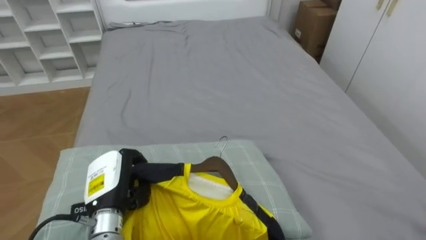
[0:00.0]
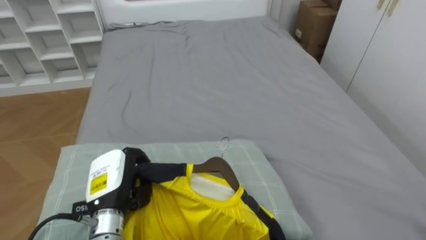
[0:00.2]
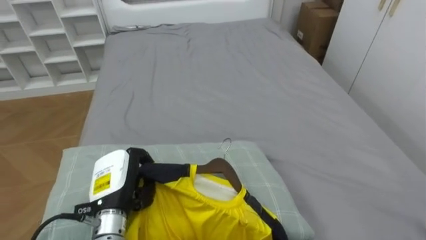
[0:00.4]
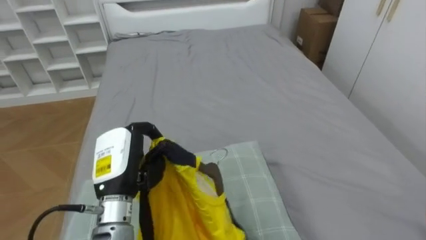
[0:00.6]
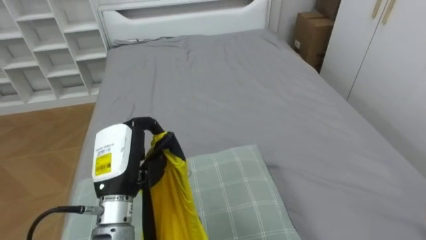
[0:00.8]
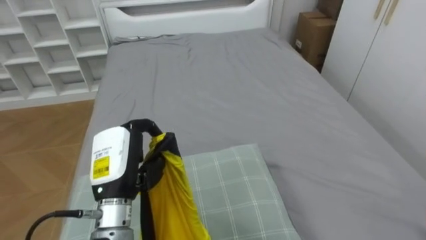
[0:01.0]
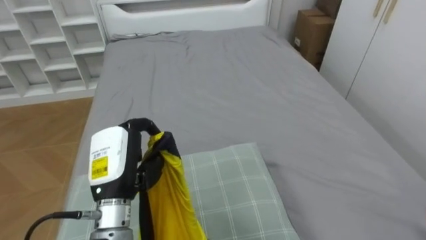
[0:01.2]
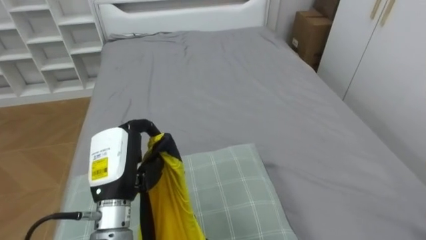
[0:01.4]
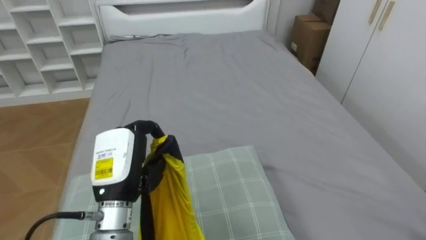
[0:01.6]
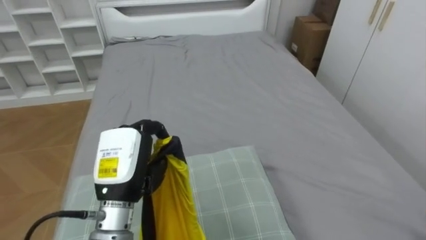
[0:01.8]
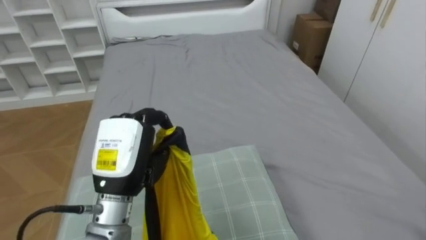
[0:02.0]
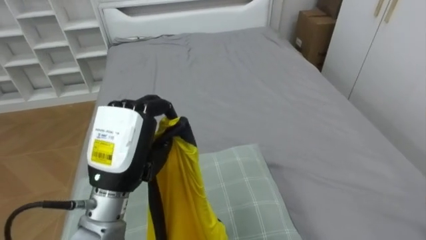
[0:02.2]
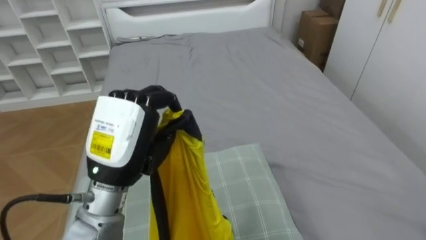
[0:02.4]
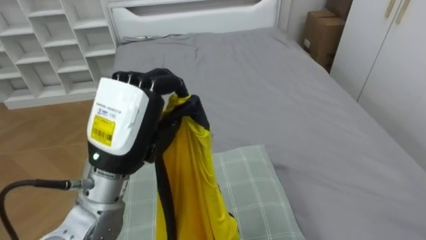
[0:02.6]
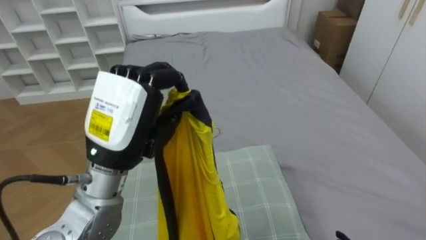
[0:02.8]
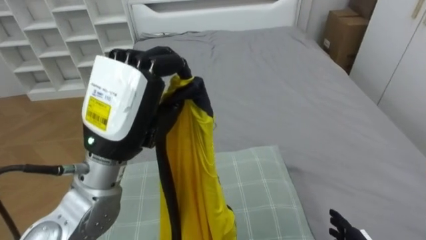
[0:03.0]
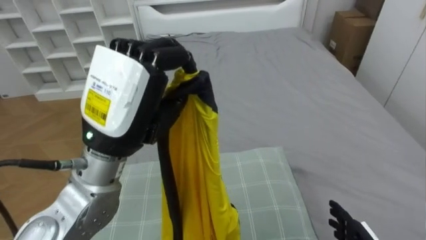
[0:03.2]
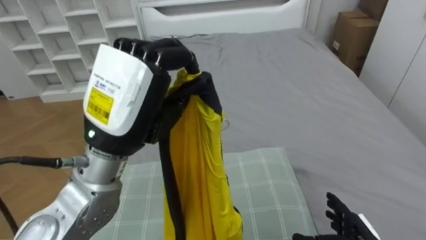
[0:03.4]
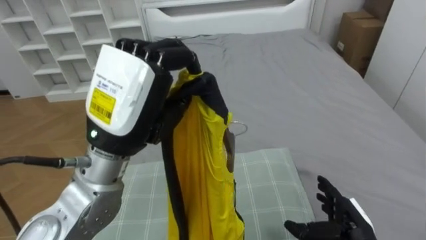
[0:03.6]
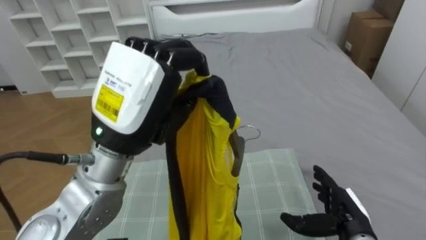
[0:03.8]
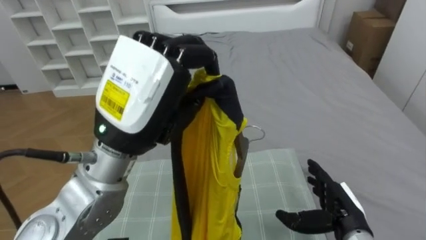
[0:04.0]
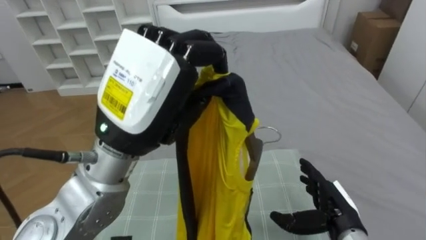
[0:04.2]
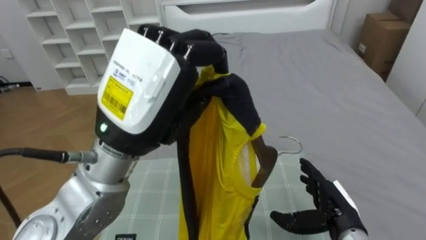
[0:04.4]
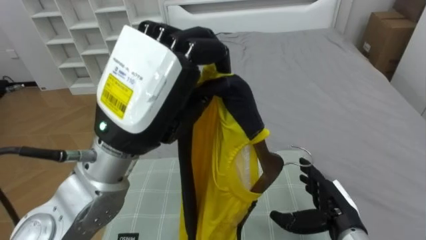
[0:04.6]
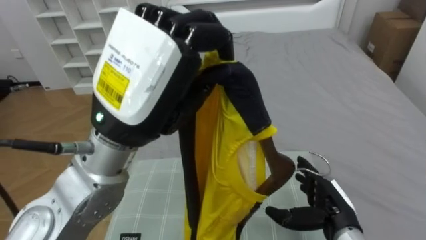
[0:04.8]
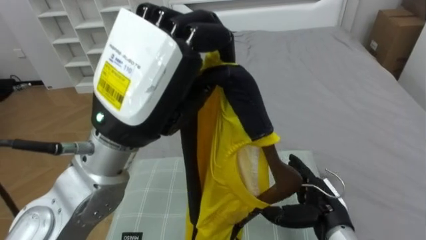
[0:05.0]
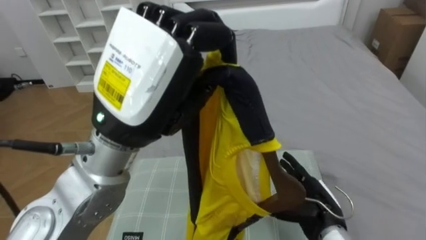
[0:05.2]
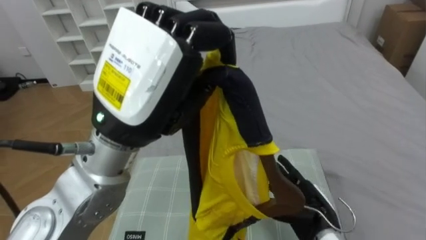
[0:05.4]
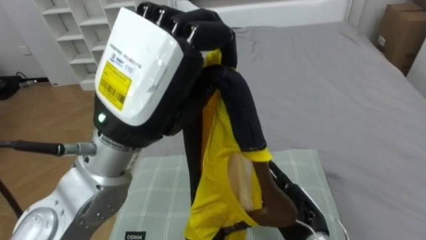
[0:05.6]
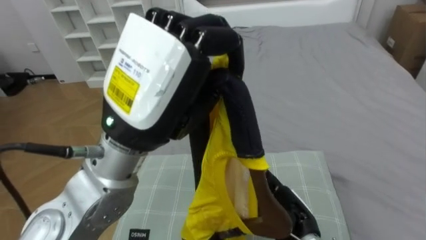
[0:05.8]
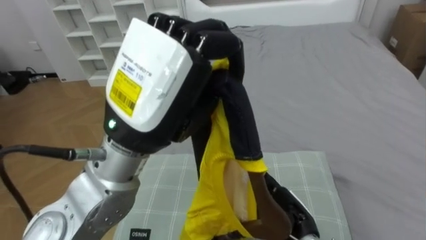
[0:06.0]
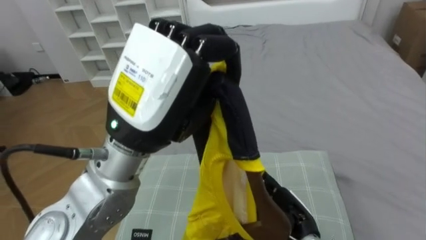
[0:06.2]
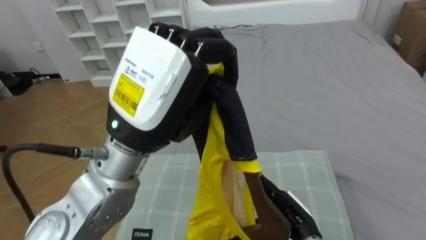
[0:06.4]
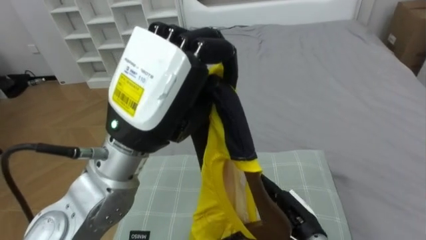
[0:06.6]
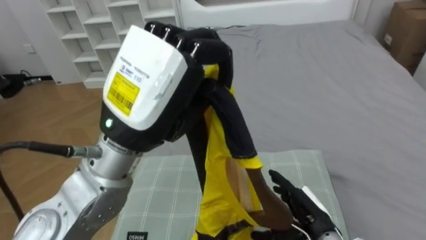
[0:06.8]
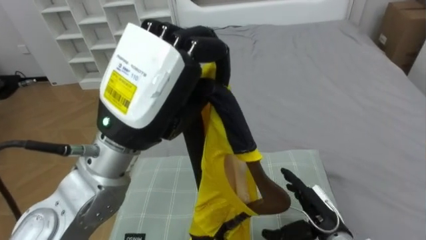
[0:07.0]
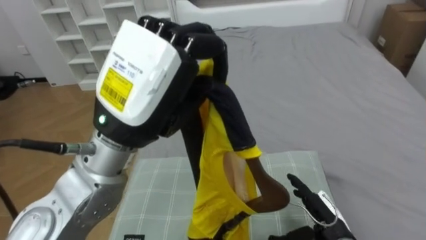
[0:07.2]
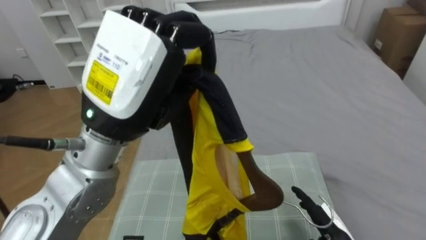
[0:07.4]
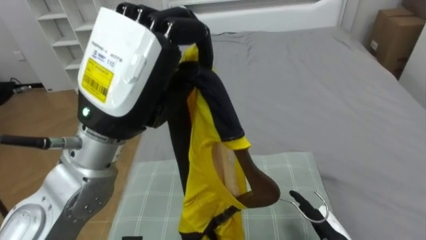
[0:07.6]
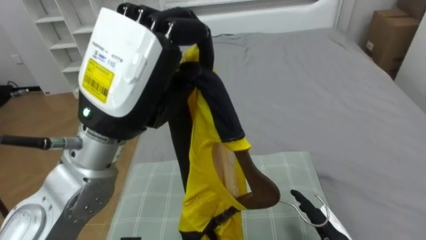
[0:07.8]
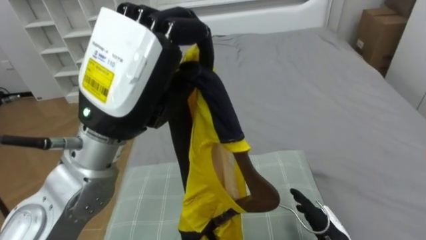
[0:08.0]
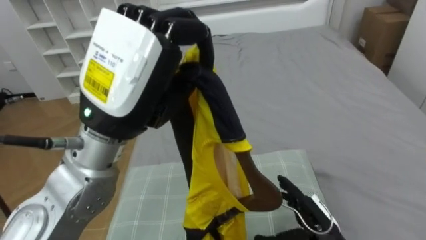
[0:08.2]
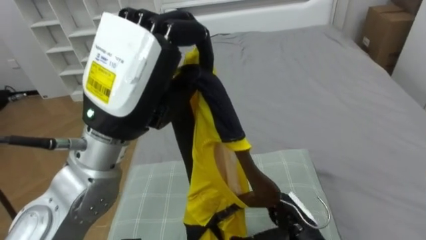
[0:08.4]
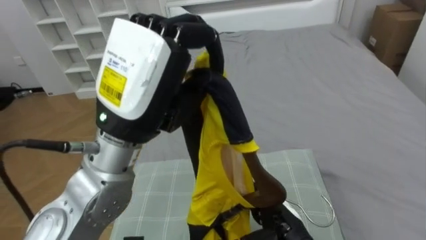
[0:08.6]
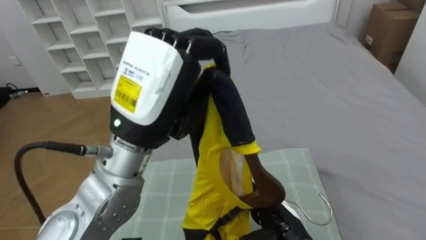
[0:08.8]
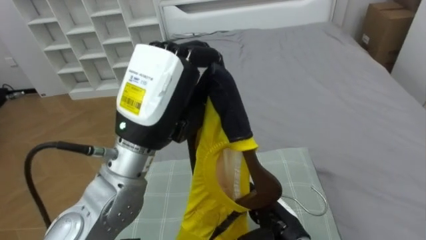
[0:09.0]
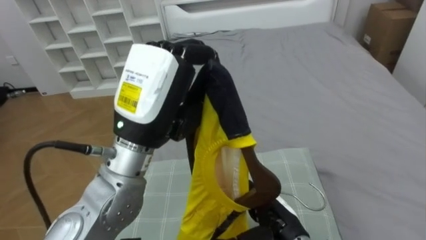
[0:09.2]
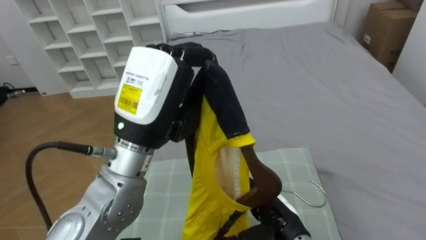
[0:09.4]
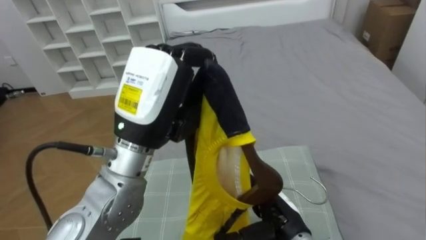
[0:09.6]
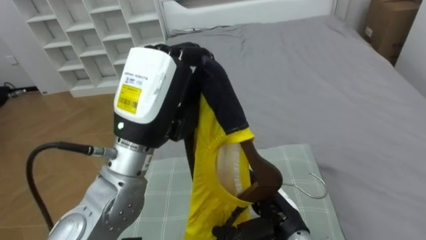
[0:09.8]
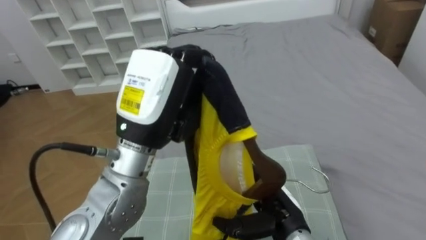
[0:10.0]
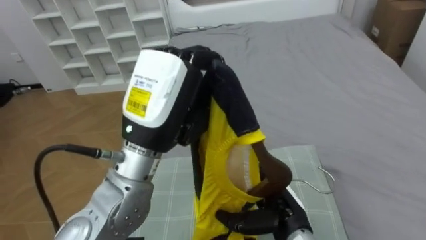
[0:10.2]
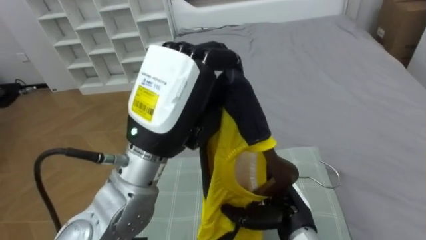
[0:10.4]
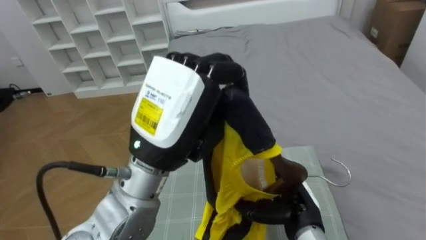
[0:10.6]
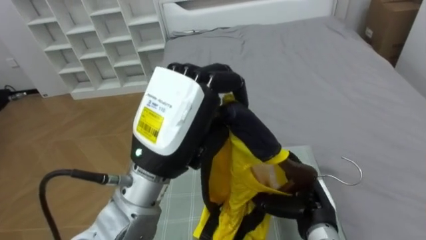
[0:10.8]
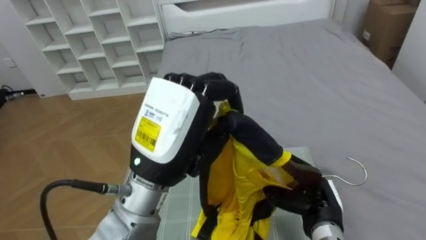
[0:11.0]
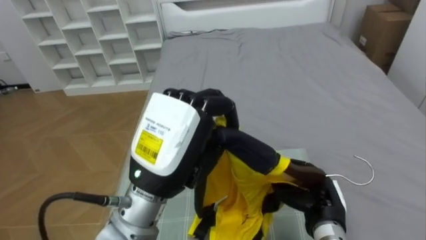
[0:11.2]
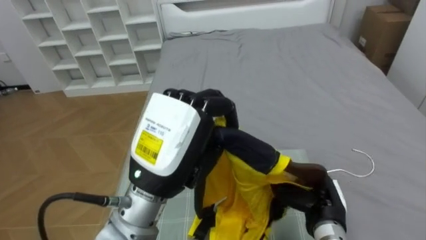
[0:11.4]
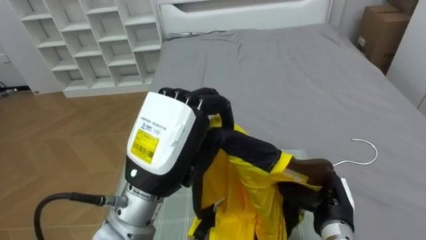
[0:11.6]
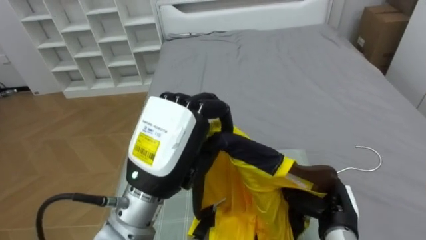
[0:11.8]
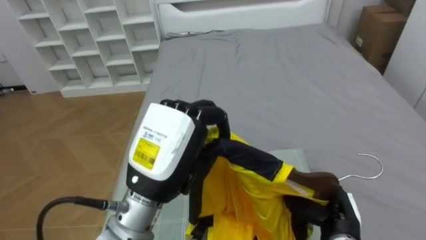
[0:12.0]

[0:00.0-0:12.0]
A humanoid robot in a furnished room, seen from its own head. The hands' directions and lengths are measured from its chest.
Task of the whole recording: Pick up the yellow shirt on the bed and hang it on the clothes rack on the right.
0:00.0 to 0:01.6: The left hand travels upward by about 10 cm.
0:01.6 to 0:03.0: The left hand heads upward, covering about 15 cm.
0:03.0 to 0:04.4: The left hand ends up some 5 cm from where it was.
0:04.4 to 0:06.0: The right hand shifts about 10 cm to the left.
0:06.0 to 0:07.6: The right hand heads to the right, covering roughly 10 cm.
0:07.6 to 0:09.0: The right hand goes some 10 cm to the left and upward. Meanwhile the left hand shifts by approximately 5 cm.
0:10.4 to 0:12.0: The left hand moves downward, some 5 cm; the right hand moves to the right, some 10 cm, and closes up.

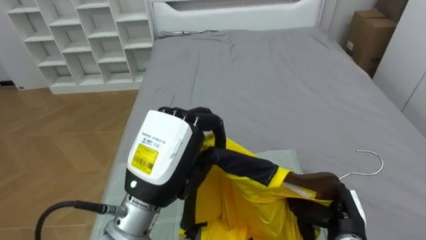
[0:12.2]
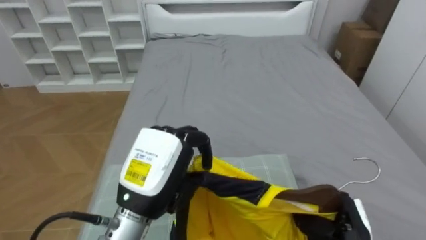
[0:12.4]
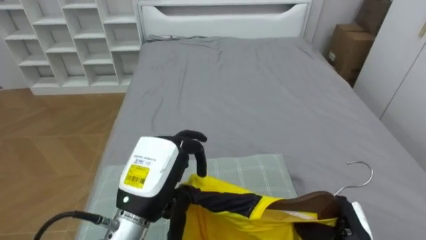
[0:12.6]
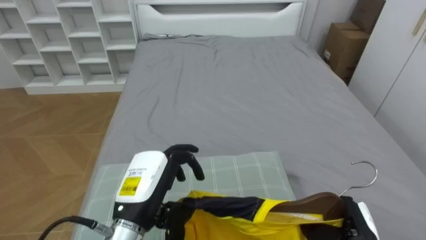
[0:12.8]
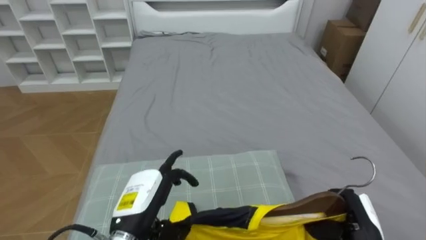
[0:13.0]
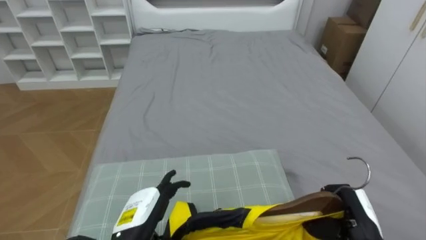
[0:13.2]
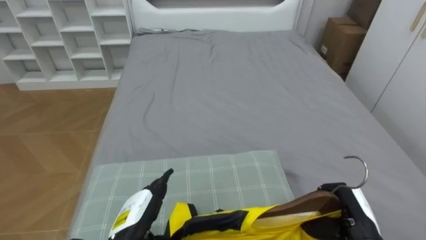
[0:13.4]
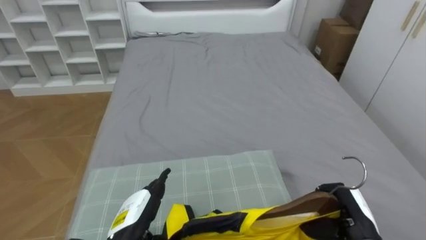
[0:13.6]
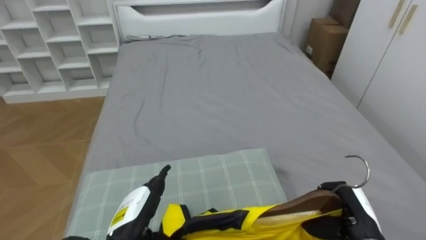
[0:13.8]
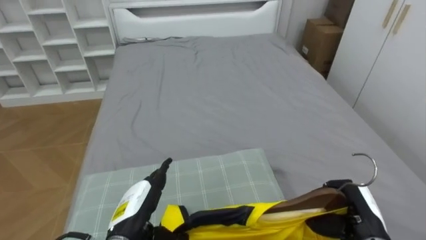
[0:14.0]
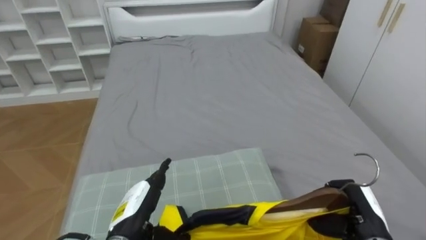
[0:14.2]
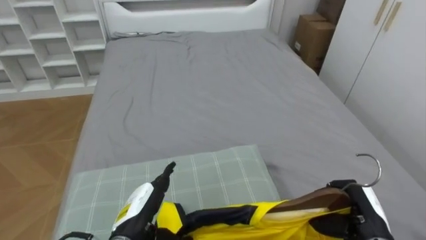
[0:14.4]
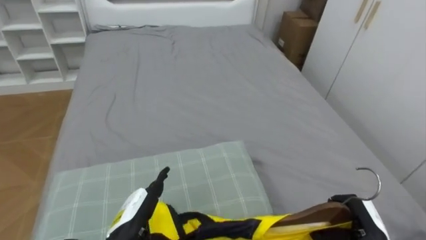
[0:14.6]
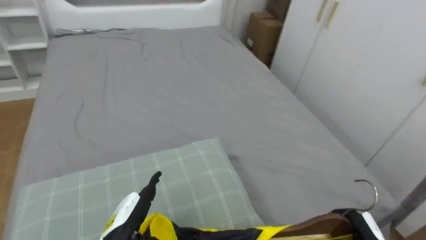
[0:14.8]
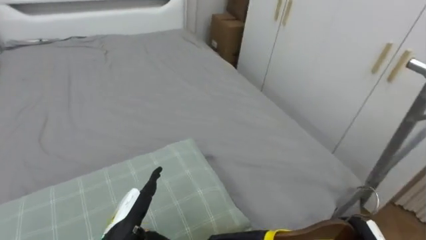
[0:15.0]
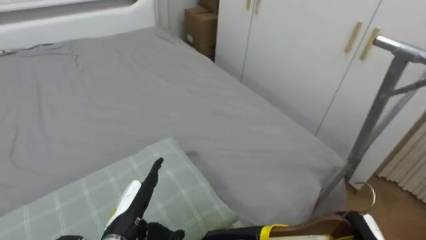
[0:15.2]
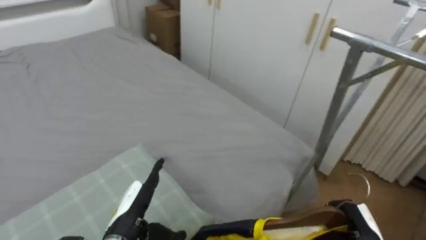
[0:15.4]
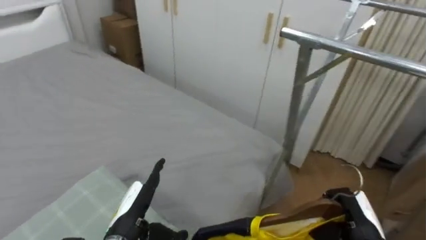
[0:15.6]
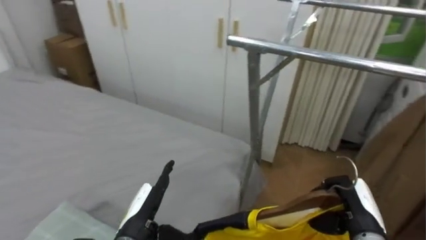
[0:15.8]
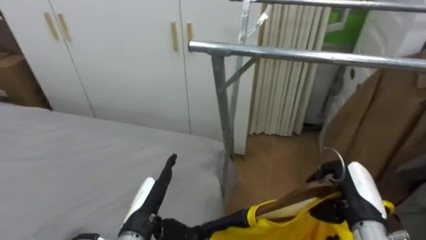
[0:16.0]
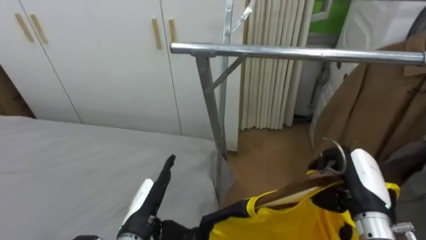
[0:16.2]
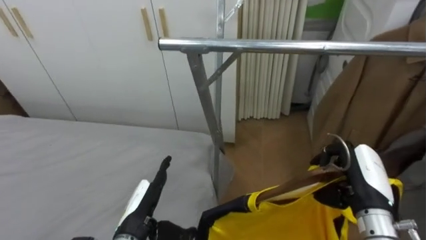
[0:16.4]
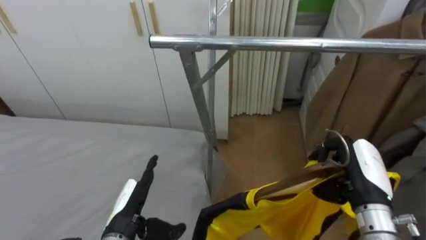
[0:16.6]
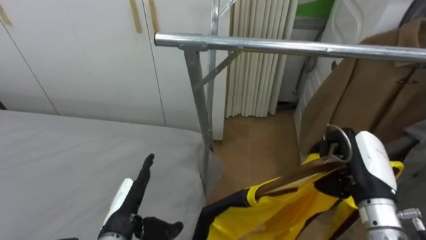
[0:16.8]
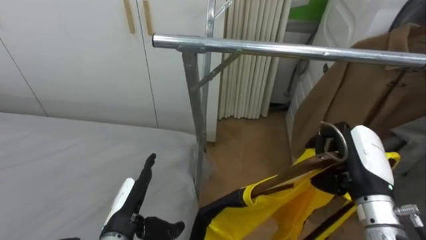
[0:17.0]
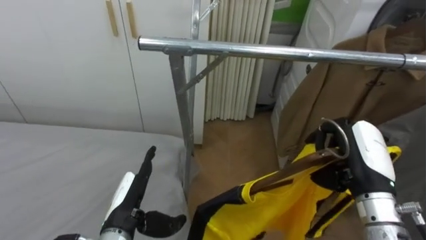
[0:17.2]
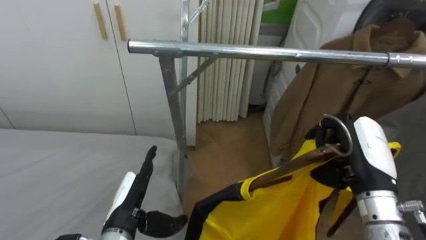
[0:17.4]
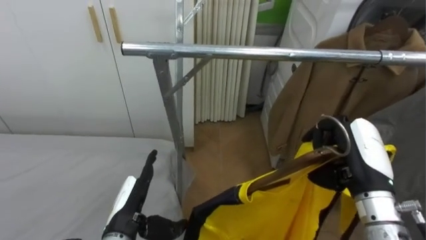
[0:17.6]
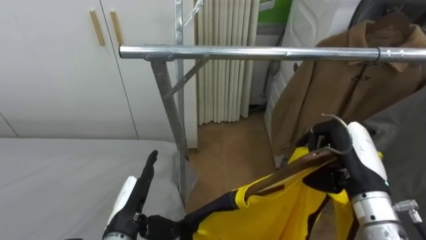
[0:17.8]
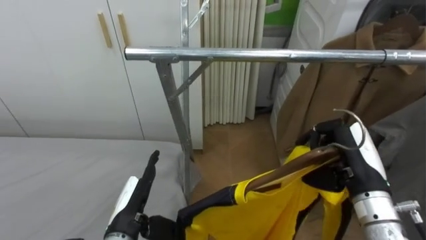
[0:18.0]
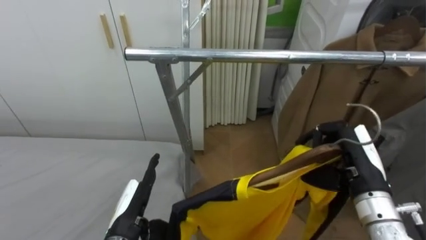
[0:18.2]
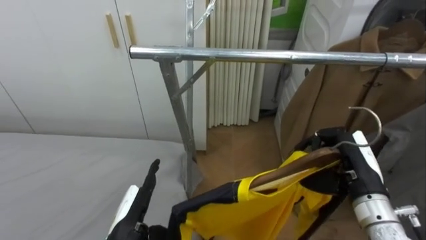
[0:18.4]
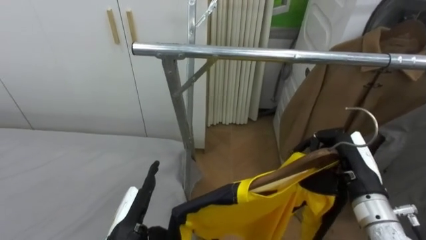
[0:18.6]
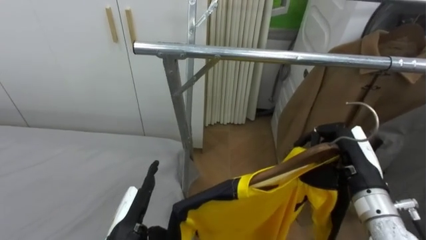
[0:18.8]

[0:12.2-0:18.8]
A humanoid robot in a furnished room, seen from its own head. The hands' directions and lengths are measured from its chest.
Task of the whole recording: Pick up the yellow shirt on the bed and hang it on the clothes rack on the right.
0:12.2 to 0:13.8: The left hand is displaced downward by roughly 20 cm, and opens.
0:13.8 to 0:15.4: The robot's body swings some 35 degrees to its right.
0:15.4 to 0:17.2: The robot's body swings roughly 50 degrees to its right. The right hand goes roughly 15 cm upward.
